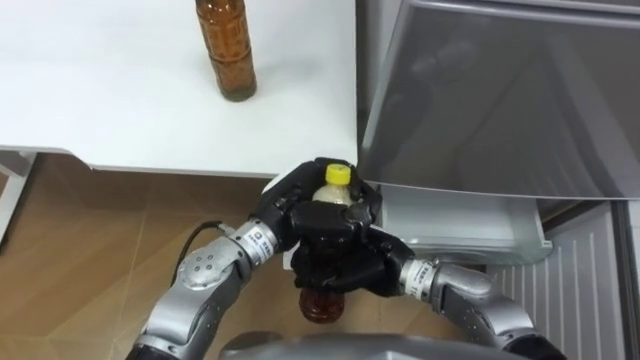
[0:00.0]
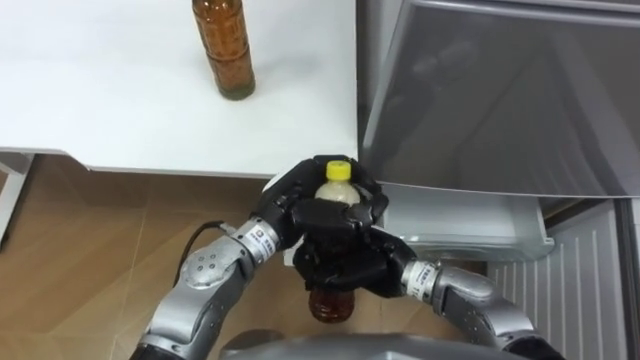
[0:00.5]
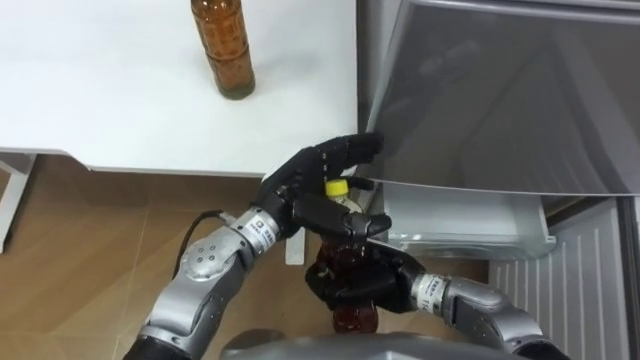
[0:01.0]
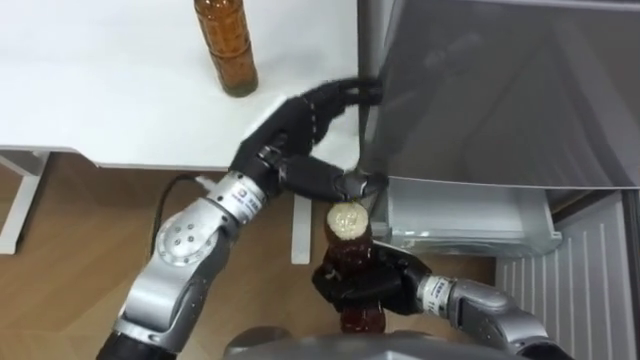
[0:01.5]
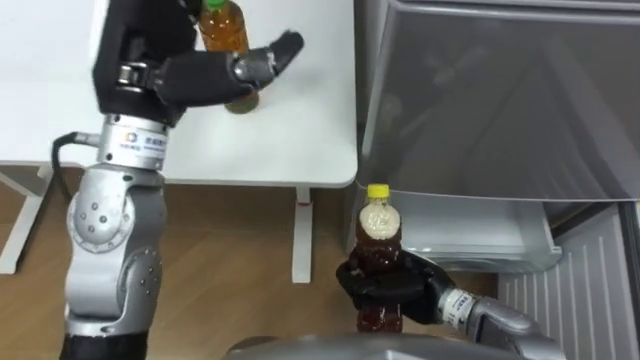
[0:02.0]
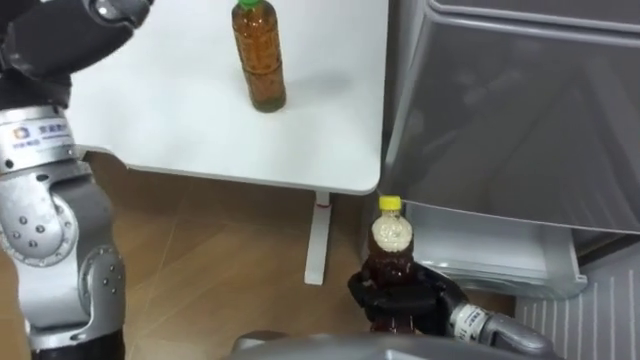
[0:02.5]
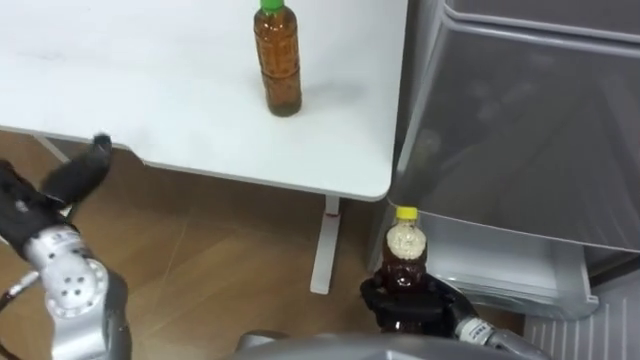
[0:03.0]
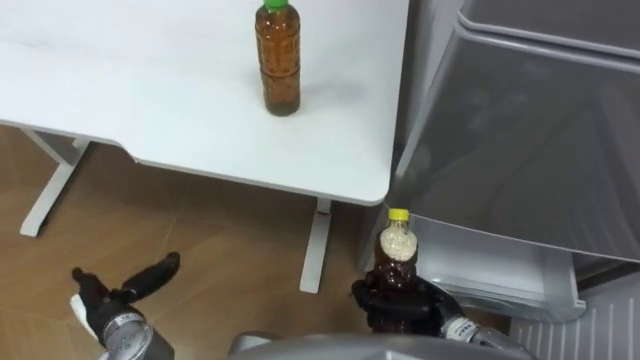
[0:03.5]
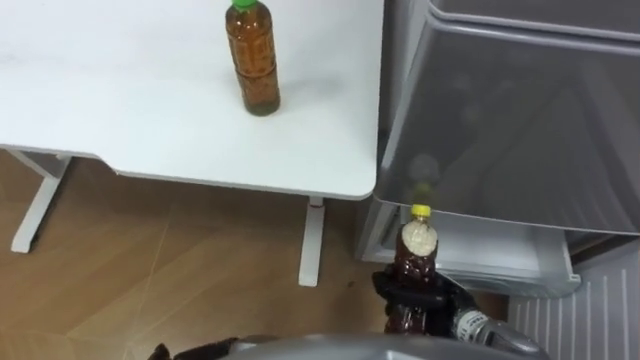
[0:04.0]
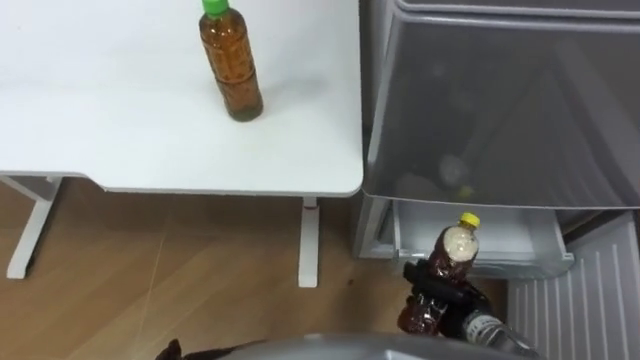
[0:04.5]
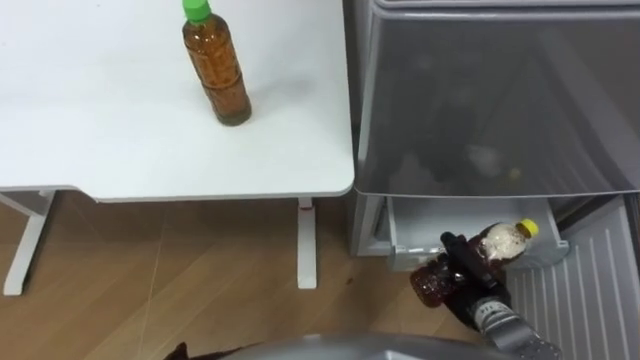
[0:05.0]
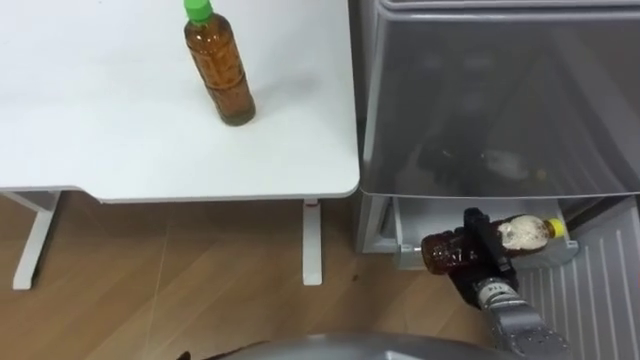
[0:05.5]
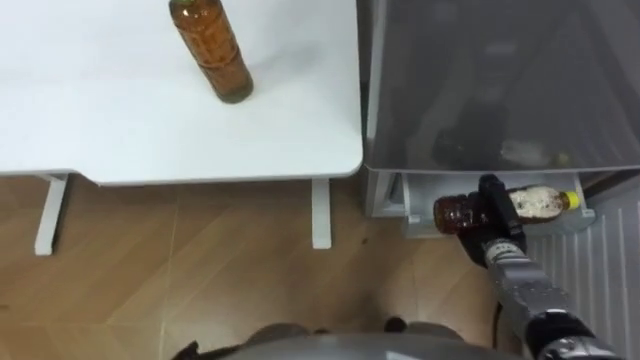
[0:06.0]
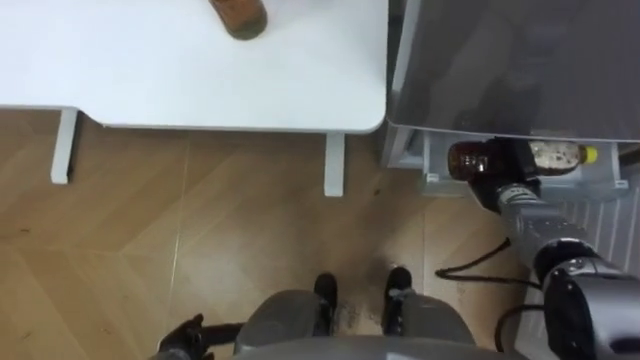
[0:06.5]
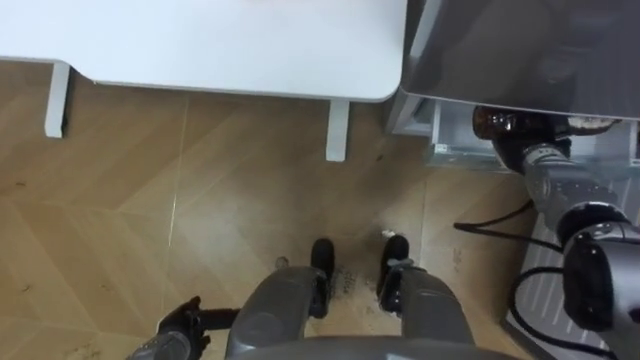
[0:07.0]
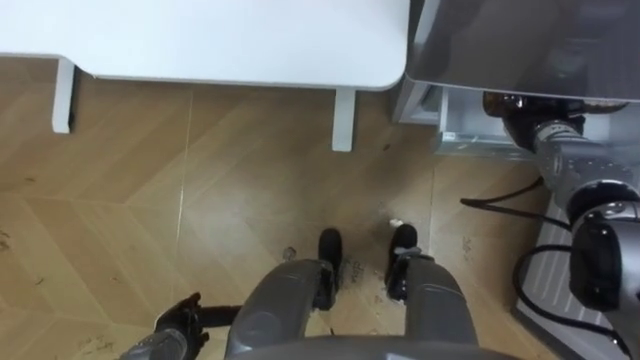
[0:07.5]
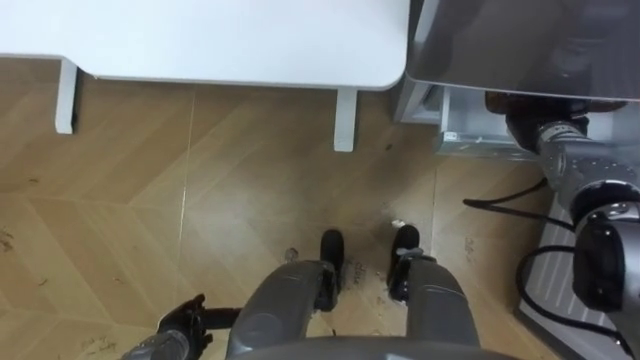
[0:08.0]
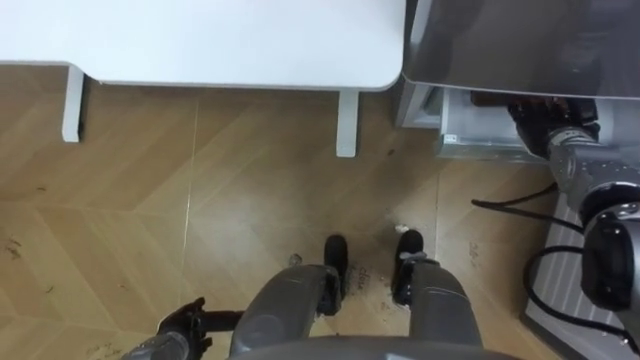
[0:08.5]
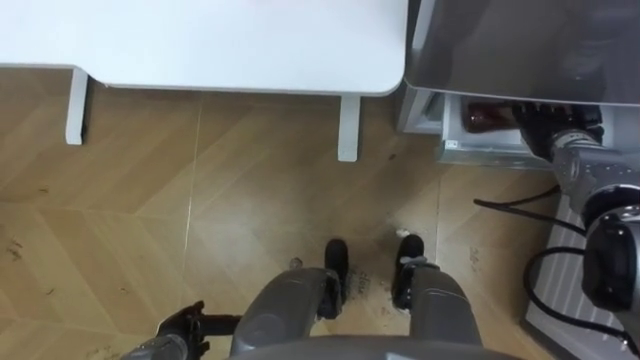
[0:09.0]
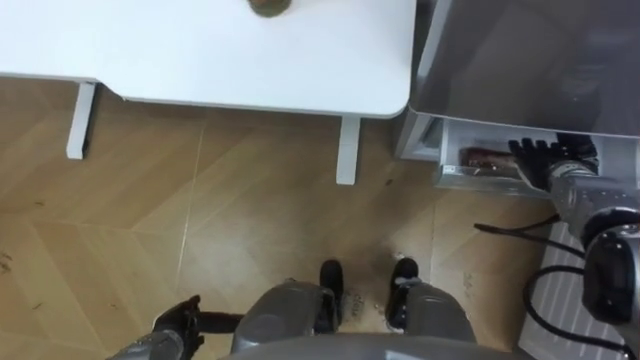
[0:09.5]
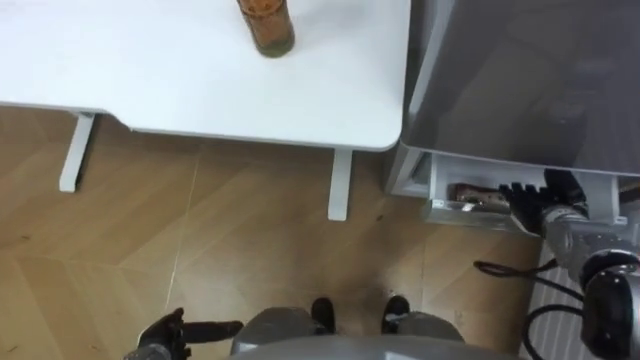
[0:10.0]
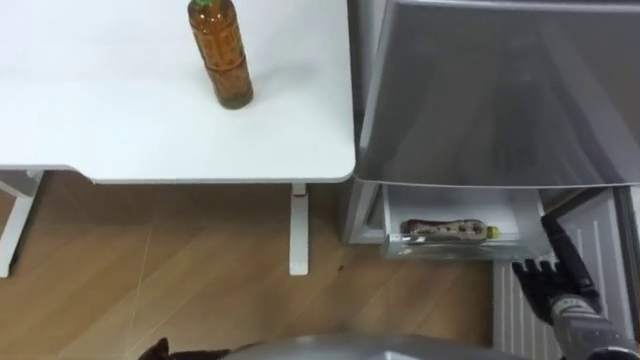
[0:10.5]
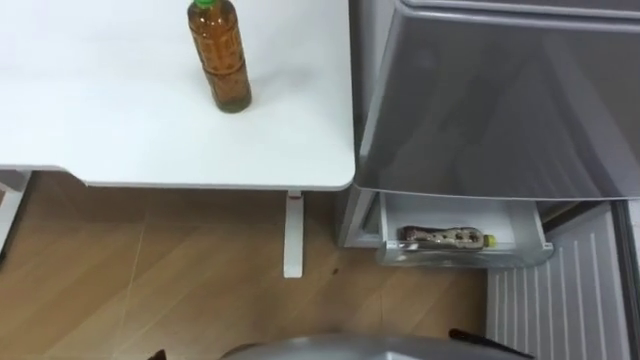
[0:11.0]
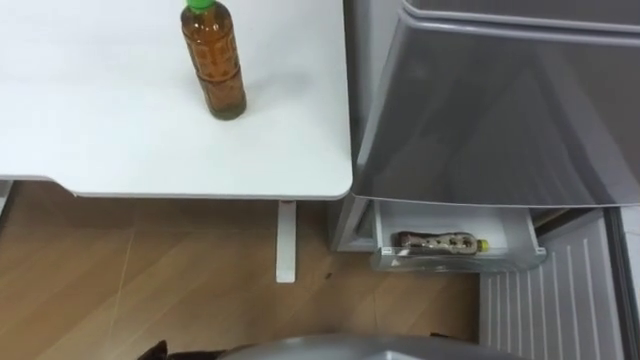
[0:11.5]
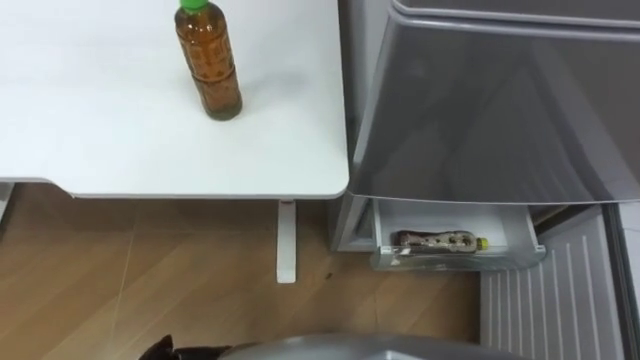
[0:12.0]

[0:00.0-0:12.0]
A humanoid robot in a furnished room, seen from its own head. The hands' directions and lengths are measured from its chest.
Task of the whole recording: Place the drink on the table on the bottom shelf of the refrigerator, then close the drawer and the refrigerator door.
0:00.0 to 0:02.0: The left hand moves upward and to the left, roughly 25 cm, and opens up. The right hand travels to the right by approximately 5 cm.
0:02.0 to 0:04.0: The right hand shifts by about 5 cm.
0:04.0 to 0:06.0: The right hand travels forward and to the right by about 15 cm.
0:06.0 to 0:08.0: The right hand heads forward and upward, covering roughly 15 cm, and opens up.
0:08.0 to 0:10.0: The right hand moves backward and downward, some 15 cm.

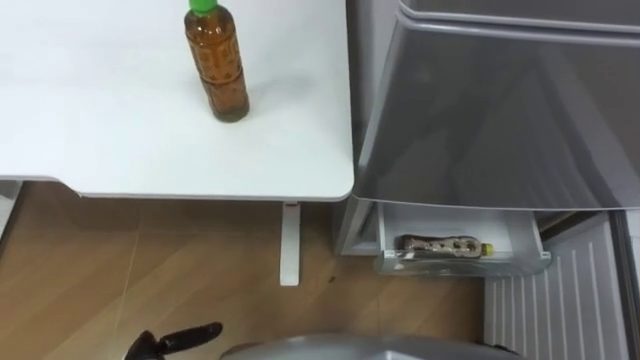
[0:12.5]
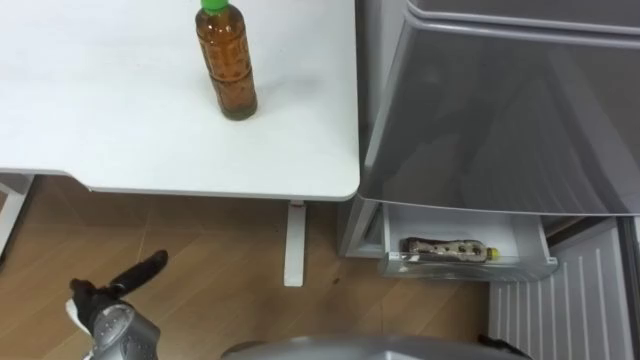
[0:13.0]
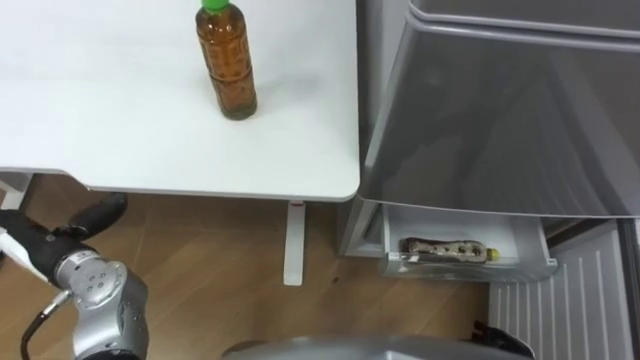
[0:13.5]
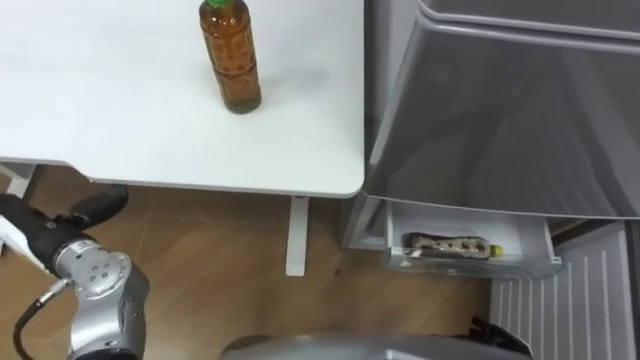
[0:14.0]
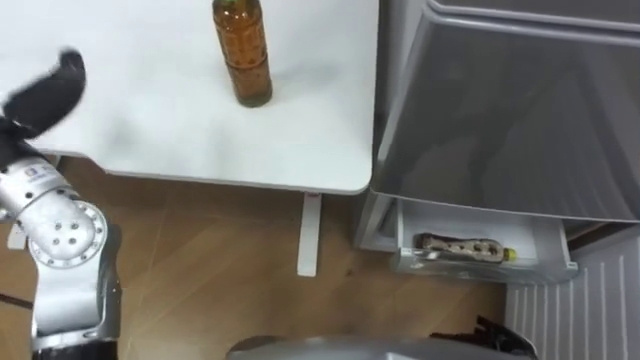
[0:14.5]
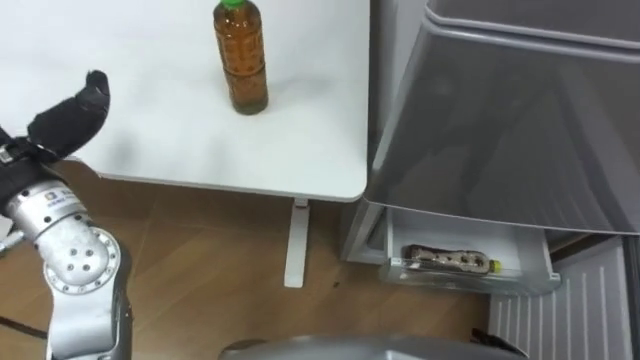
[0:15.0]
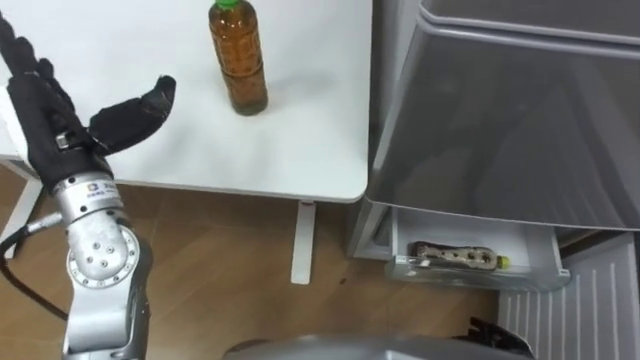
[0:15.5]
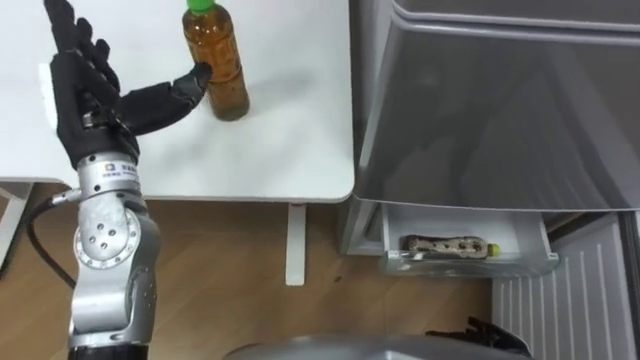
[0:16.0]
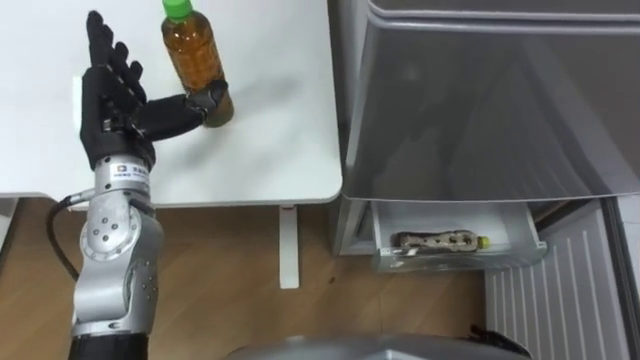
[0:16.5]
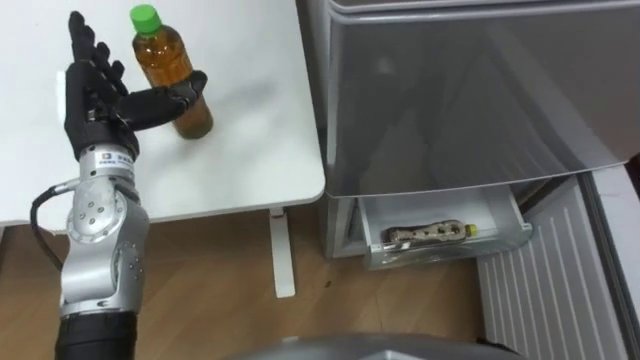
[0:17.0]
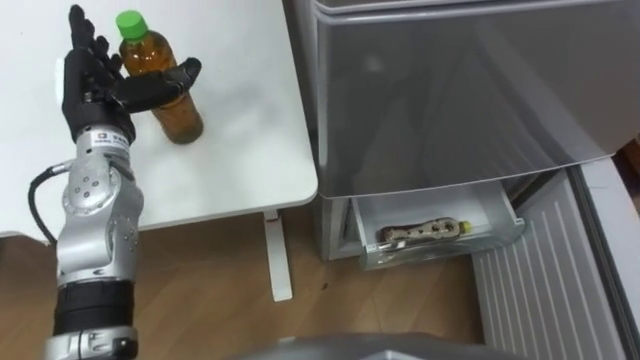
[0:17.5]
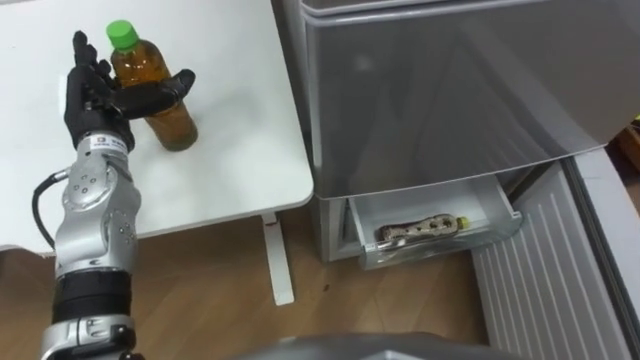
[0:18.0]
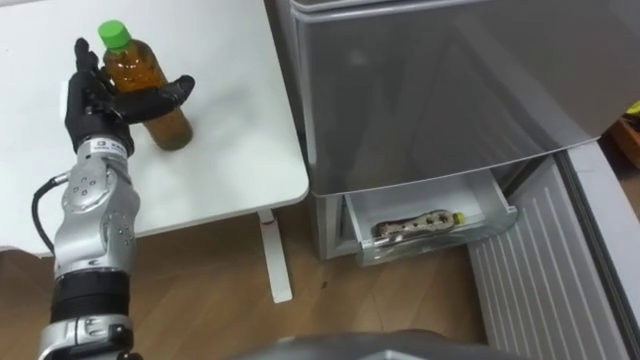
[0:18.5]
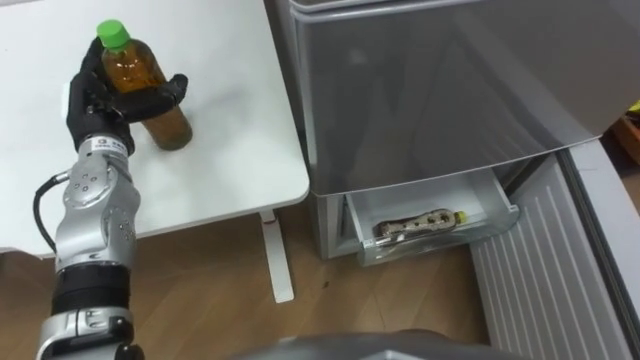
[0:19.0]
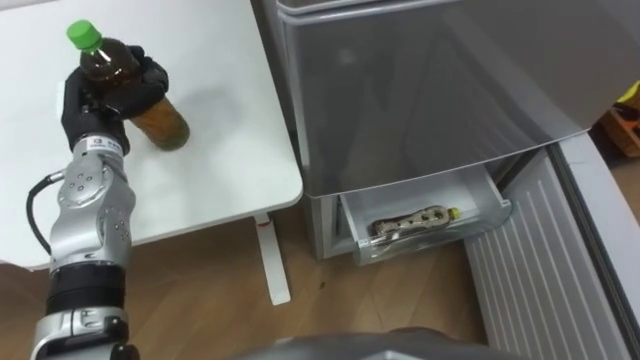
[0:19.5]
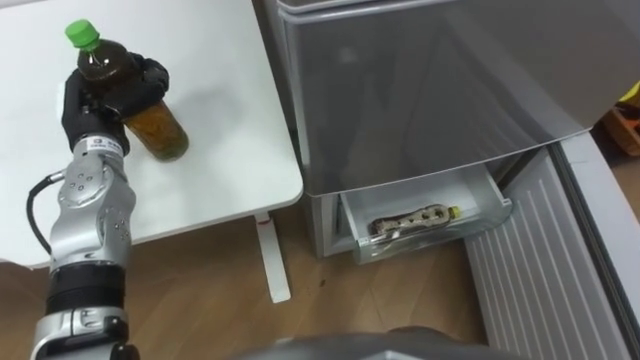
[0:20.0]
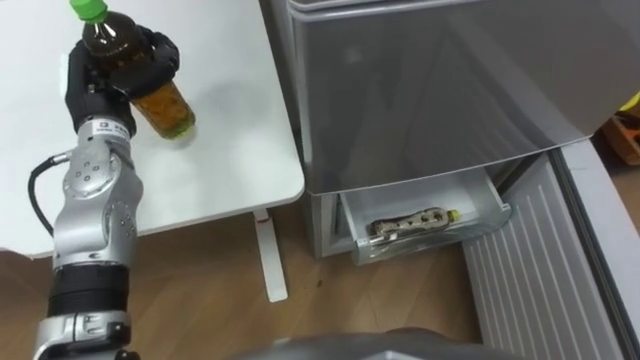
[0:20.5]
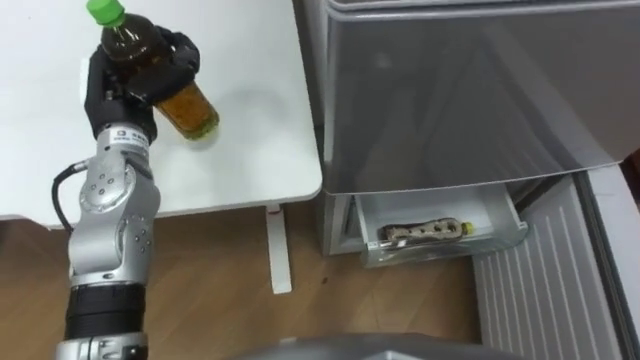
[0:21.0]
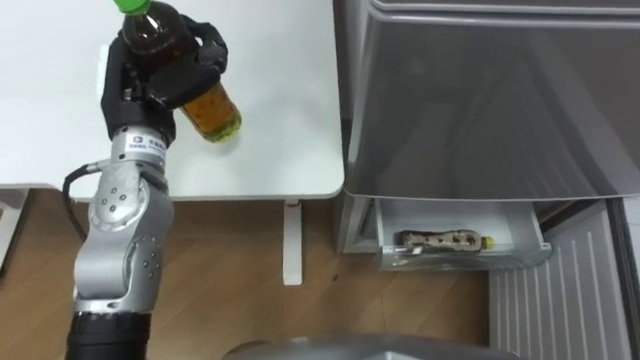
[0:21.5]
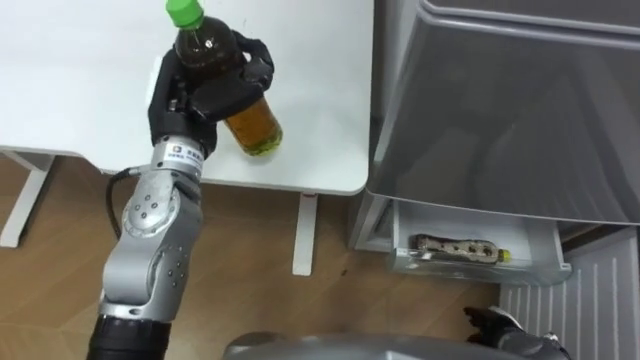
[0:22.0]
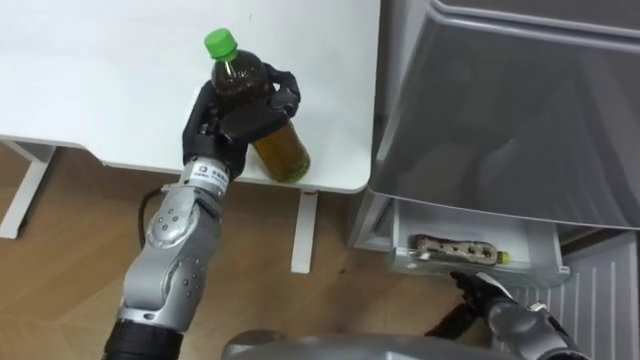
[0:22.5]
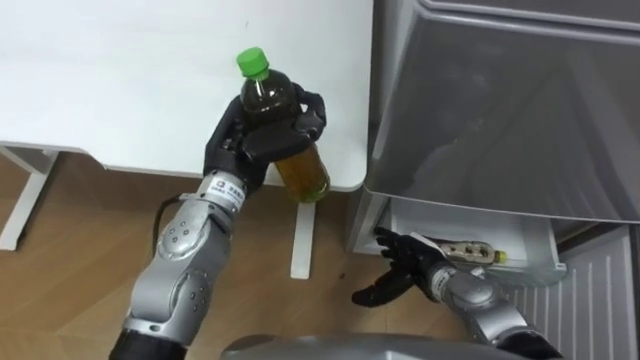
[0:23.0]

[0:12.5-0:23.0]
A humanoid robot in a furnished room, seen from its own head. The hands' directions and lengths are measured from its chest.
Task of the whole recording: Place the drink on the table on the bottom shelf of the refrigerator, then close the drawer and the refrigerator door.
0:16.5 to 0:19.0: The left hand ends up some 10 cm from where it was.
0:19.0 to 0:21.0: The left hand changes place by about 5 cm, and closes its fingers.
0:21.0 to 0:23.0: The left hand goes approximately 15 cm to the right.
